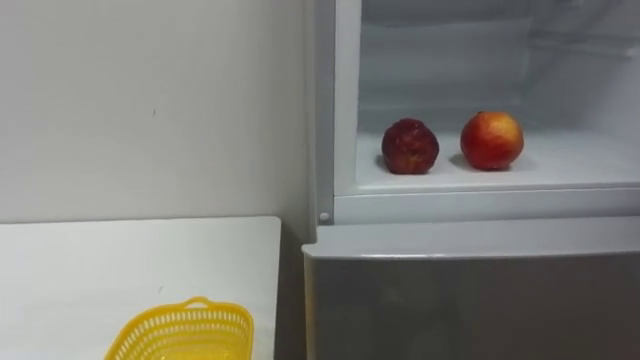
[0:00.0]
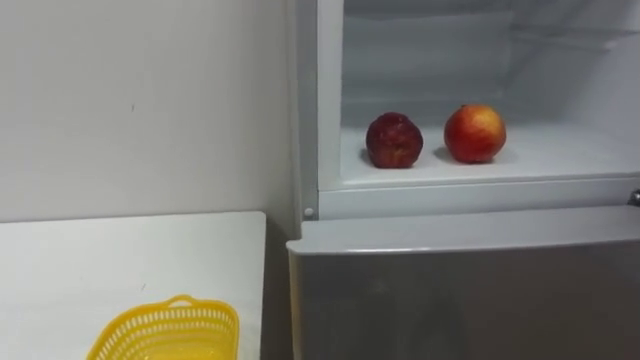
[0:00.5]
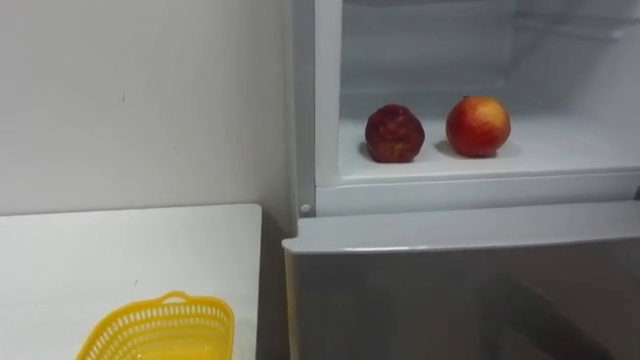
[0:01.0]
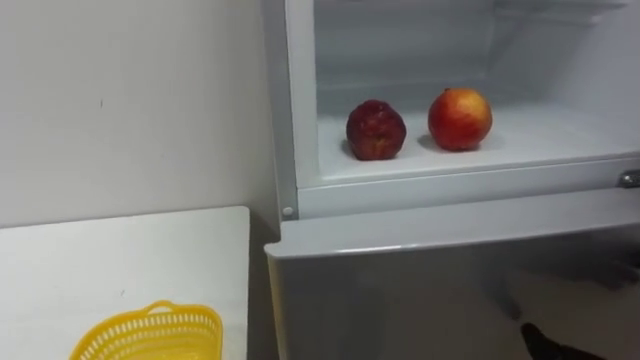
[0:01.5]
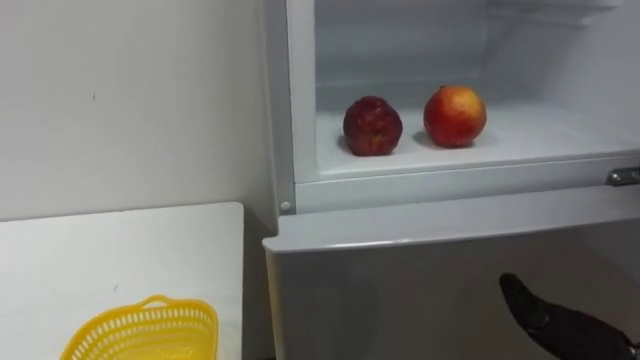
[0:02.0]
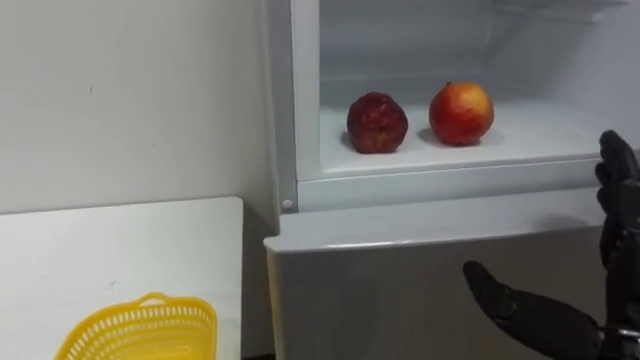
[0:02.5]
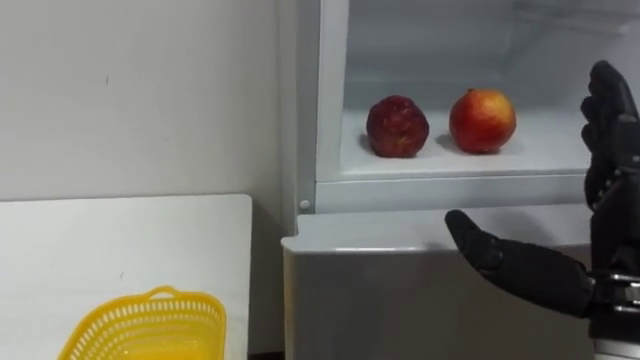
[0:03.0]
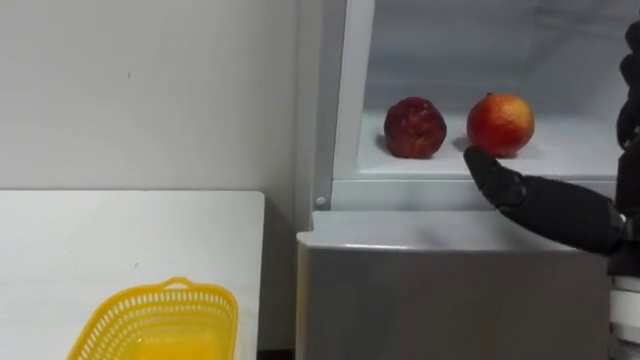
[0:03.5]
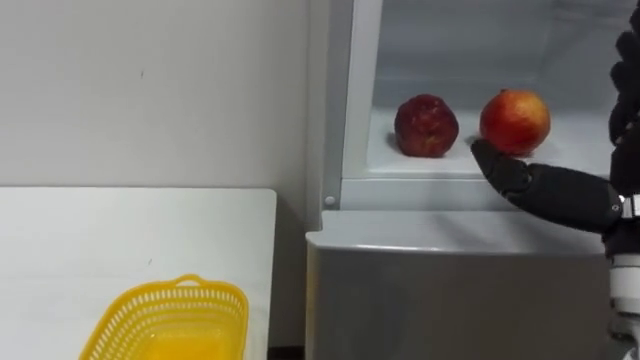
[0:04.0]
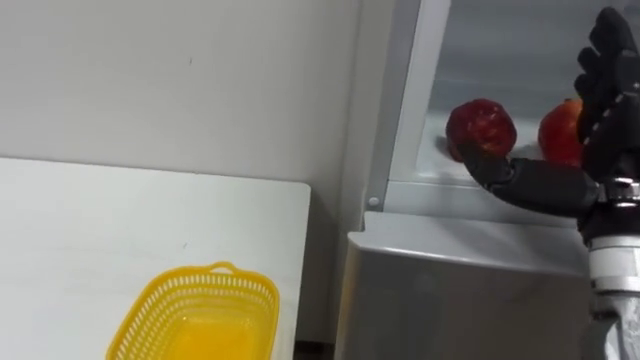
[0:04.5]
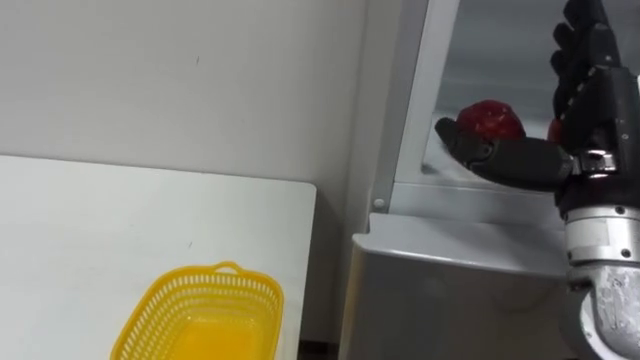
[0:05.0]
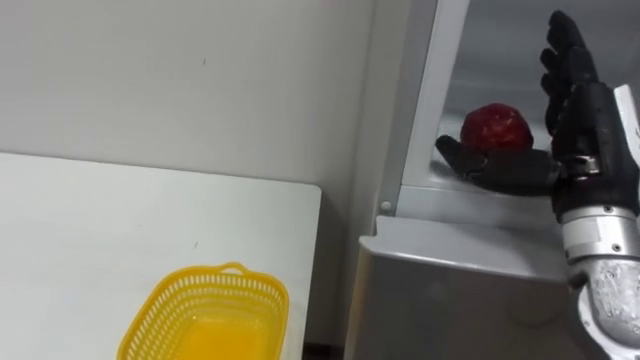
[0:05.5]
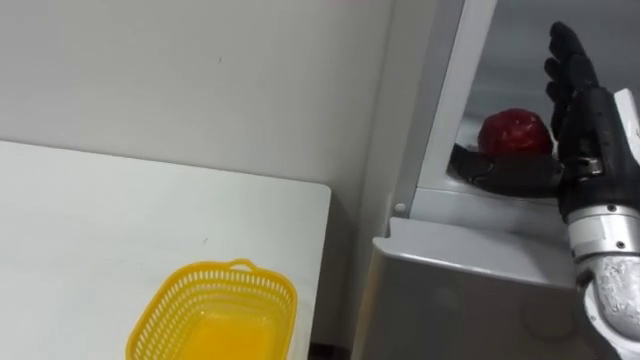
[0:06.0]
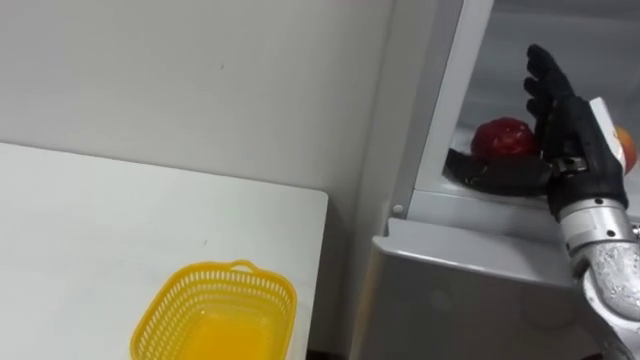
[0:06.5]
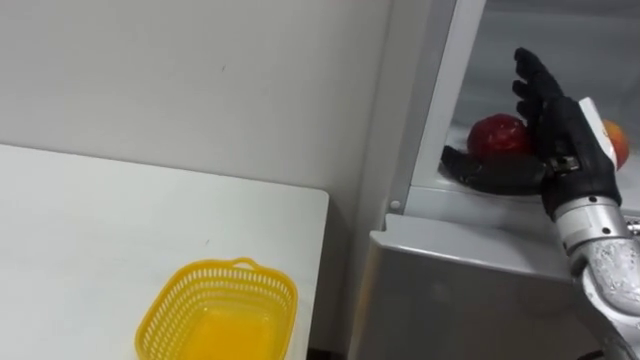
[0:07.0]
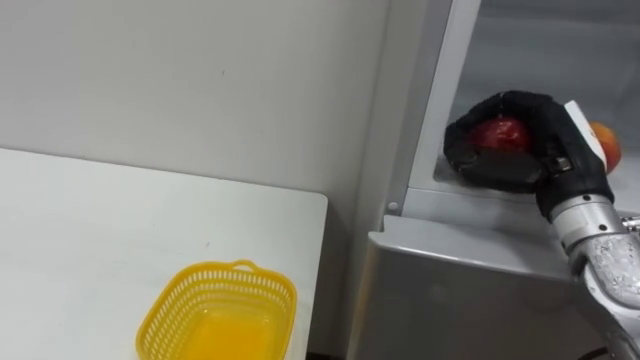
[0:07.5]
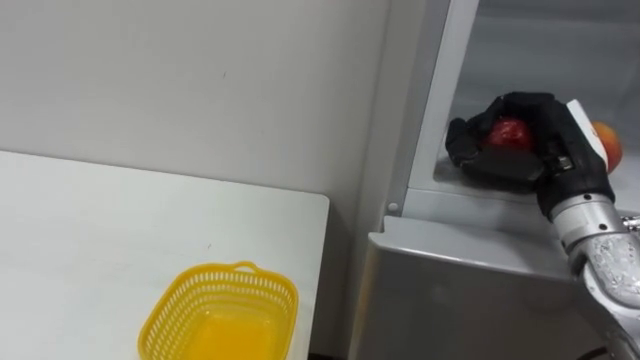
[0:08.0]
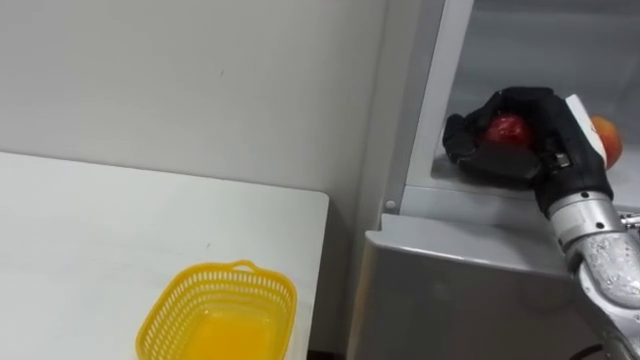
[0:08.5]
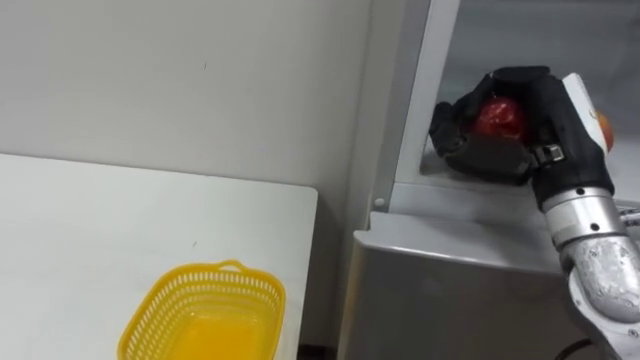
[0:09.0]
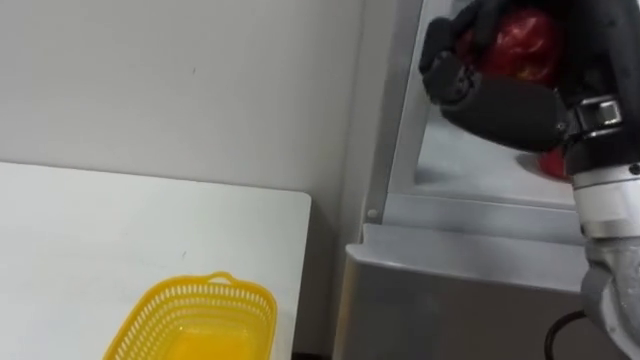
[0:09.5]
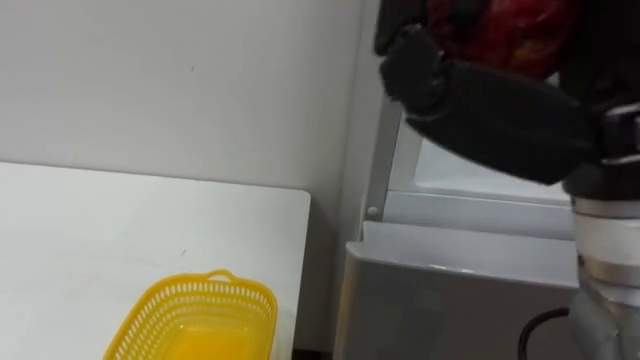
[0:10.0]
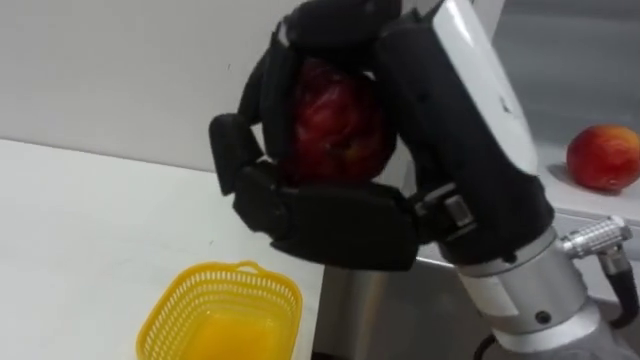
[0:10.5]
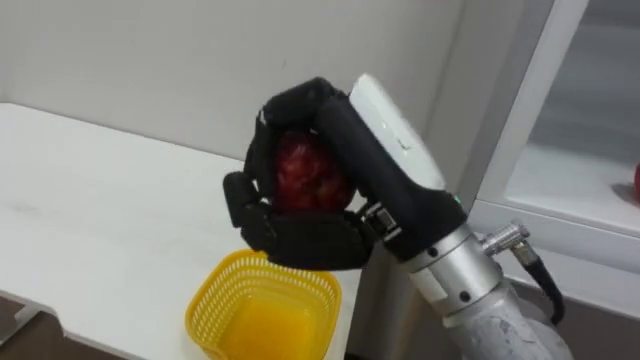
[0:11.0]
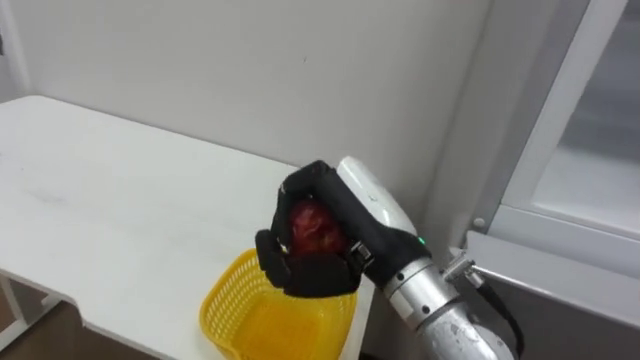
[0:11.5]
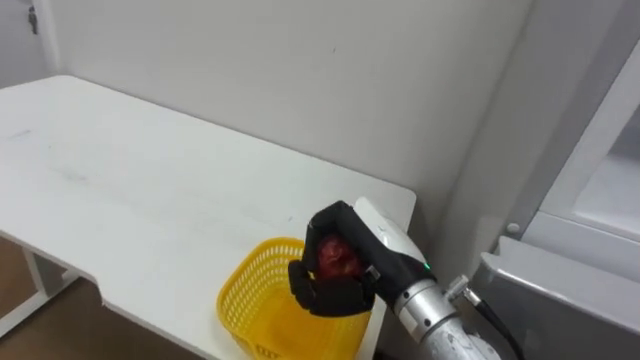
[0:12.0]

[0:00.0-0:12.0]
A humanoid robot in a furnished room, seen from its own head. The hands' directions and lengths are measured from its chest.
Task of the whole recording: Open the refrigerator door, take out the apple and the pomegranate, place them in the fruit basket on the left, and close the refrigerator door.
0:04.0 to 0:06.0: The right hand goes roughly 5 cm forward.
0:06.0 to 0:08.0: The right hand closes.
0:08.0 to 0:10.0: The right hand travels backward, upward and to the left by about 25 cm.
0:10.0 to 0:12.0: The right hand moves downward, forward and to the left, roughly 25 cm.

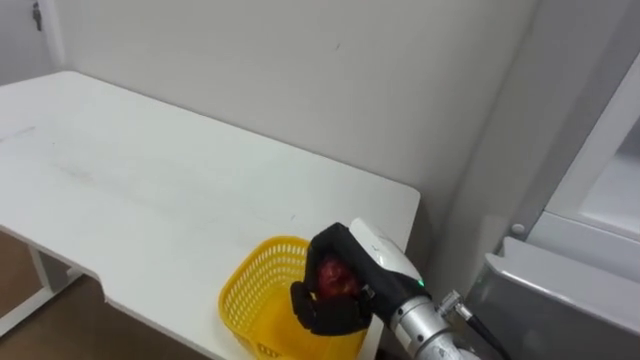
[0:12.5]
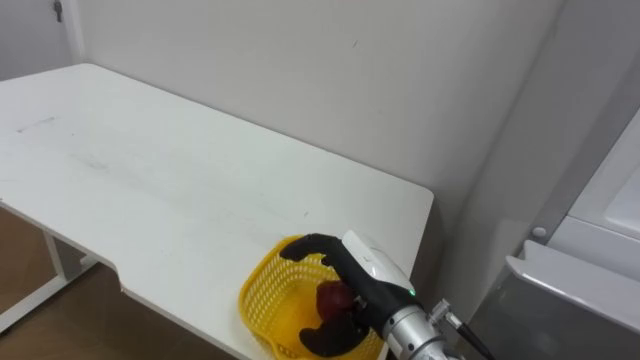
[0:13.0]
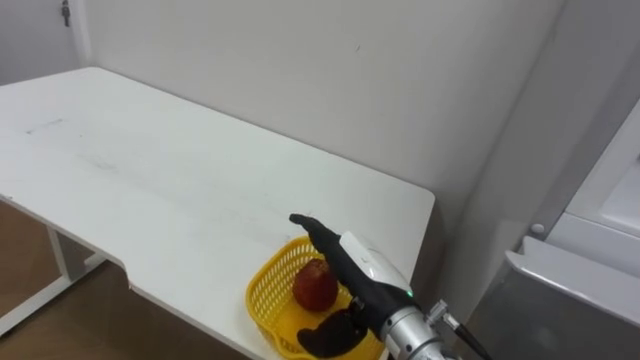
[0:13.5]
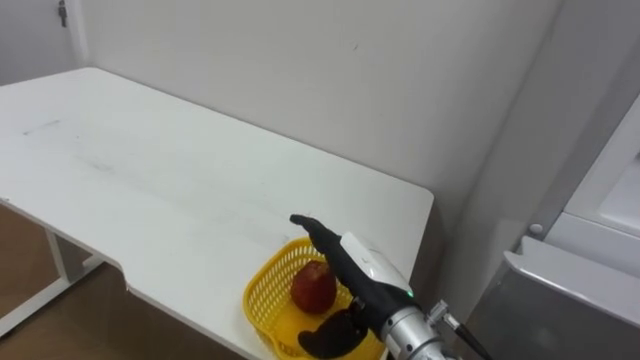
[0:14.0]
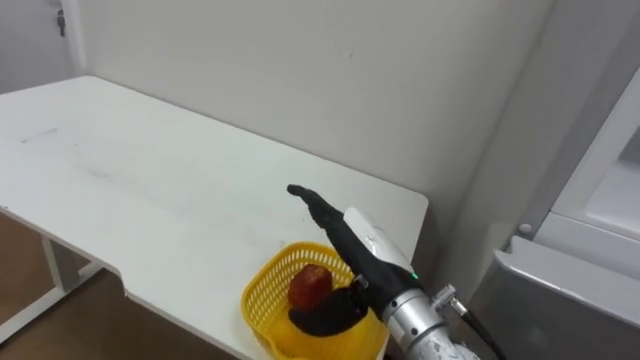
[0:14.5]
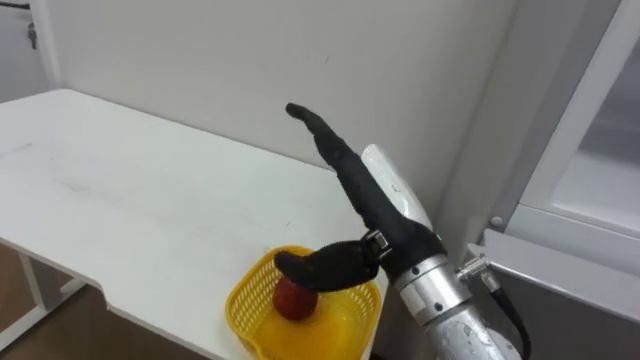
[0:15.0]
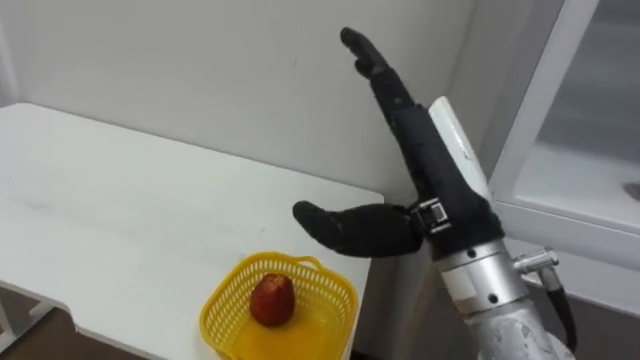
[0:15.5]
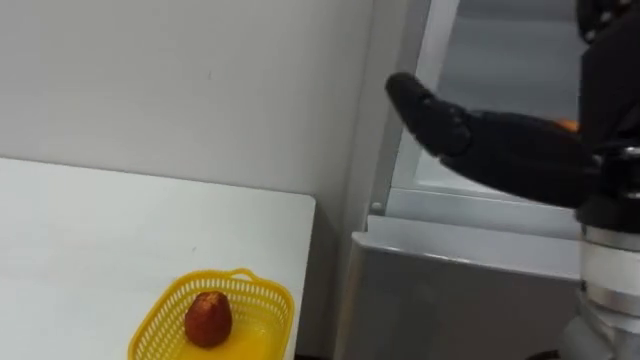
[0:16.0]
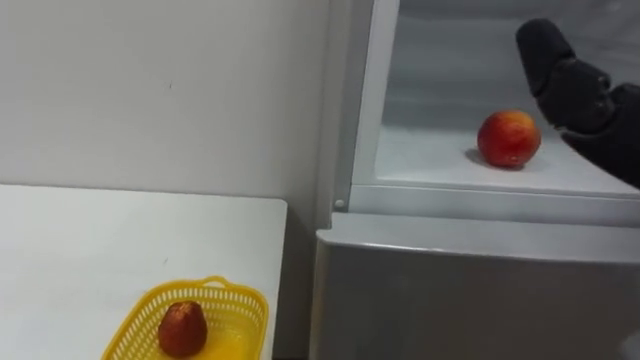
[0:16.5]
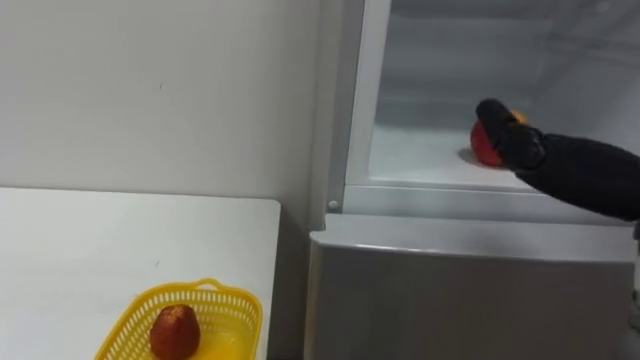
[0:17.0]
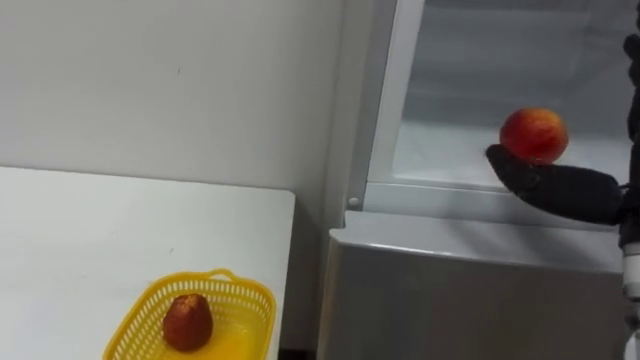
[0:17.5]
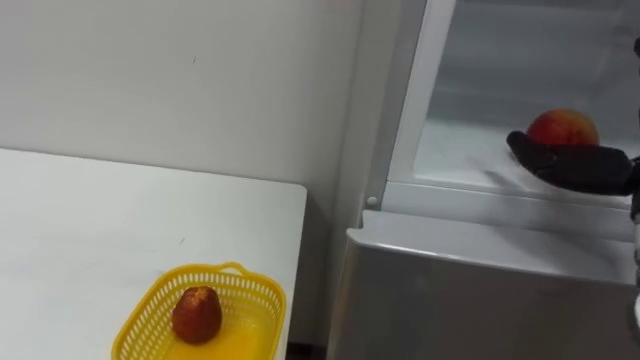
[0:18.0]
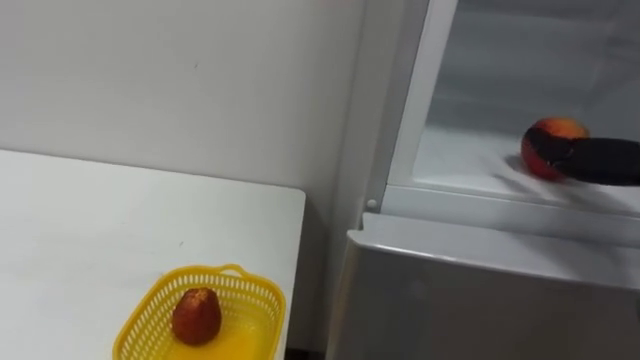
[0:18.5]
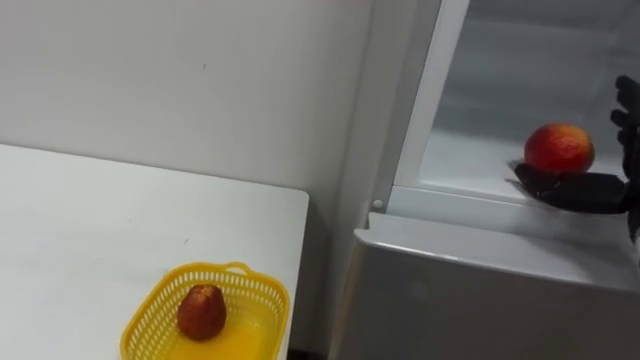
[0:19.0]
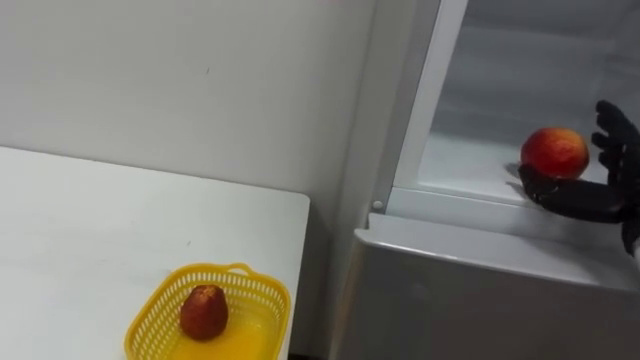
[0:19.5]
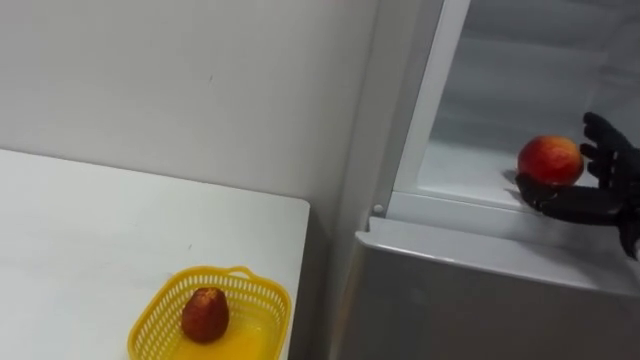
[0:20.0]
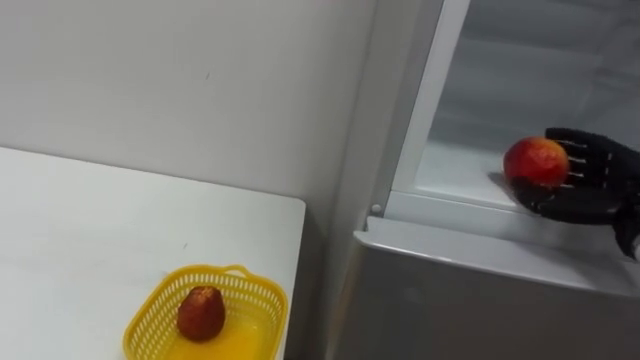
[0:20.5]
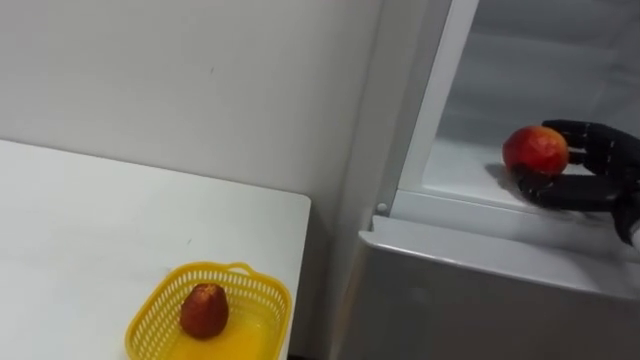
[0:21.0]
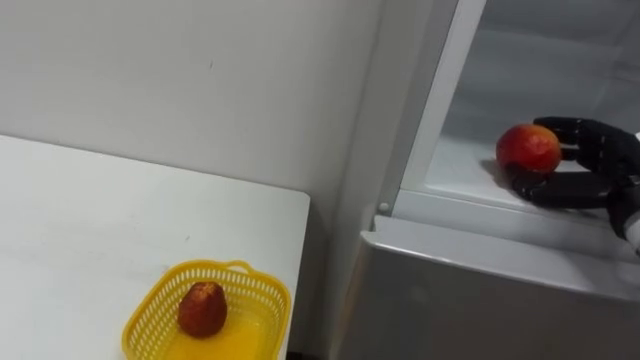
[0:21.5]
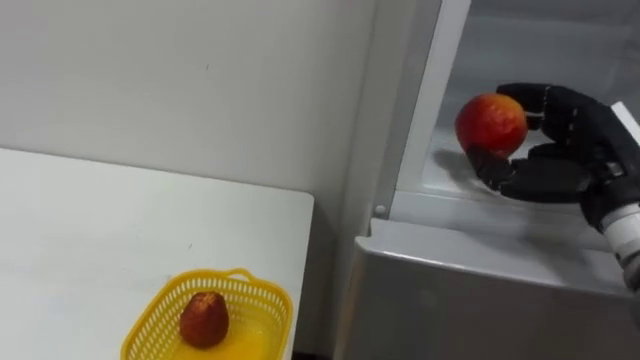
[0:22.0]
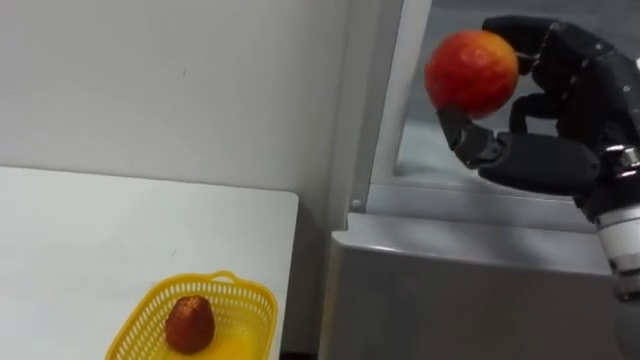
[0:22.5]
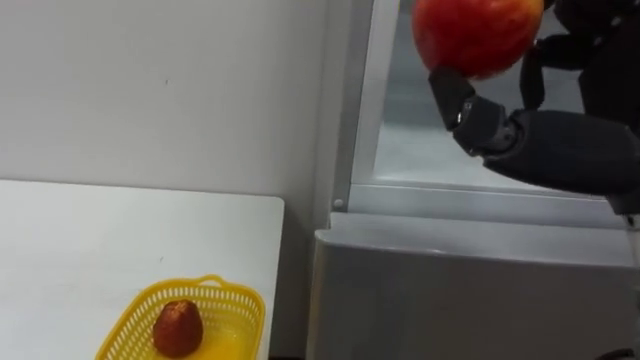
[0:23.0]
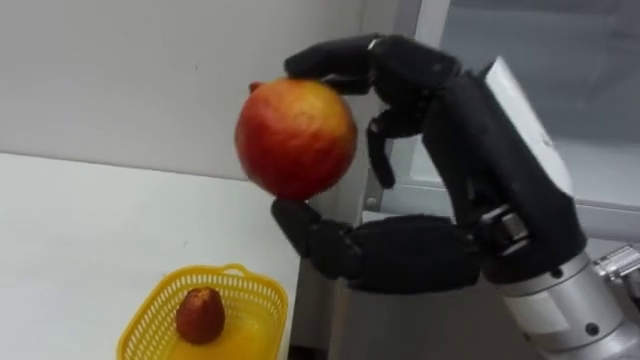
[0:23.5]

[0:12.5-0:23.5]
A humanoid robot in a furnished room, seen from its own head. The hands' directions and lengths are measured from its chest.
Task of the whole recording: Open the refrigerator door, take out the apple and the pomegranate, place them in the fruit basket on the left, and close the refrigerator door.
0:12.5 to 0:14.5: The right hand opens.
0:14.5 to 0:16.0: The right hand shifts some 25 cm upward, backward and to the right.
0:20.0 to 0:21.5: The right hand closes up.
0:21.5 to 0:23.5: The right hand moves to the left, backward and upward, approximately 30 cm.
